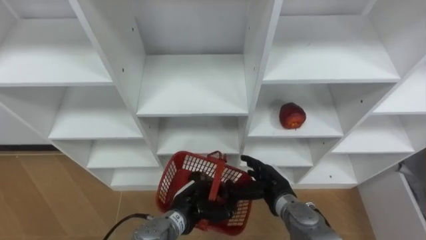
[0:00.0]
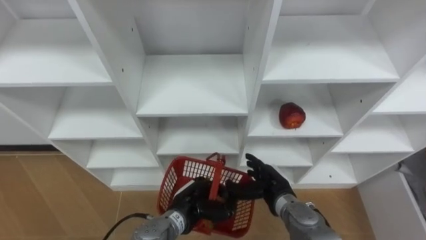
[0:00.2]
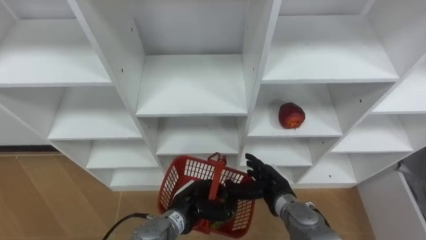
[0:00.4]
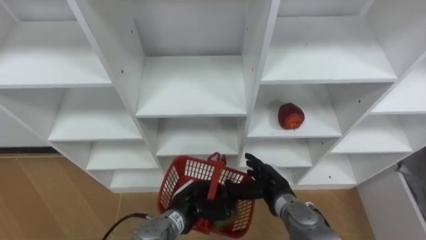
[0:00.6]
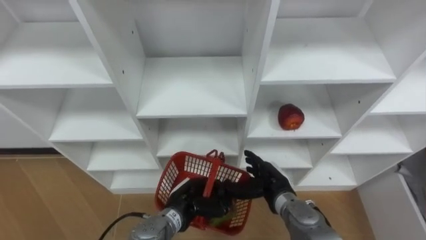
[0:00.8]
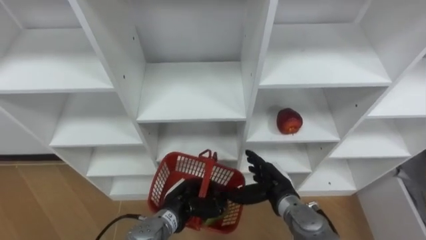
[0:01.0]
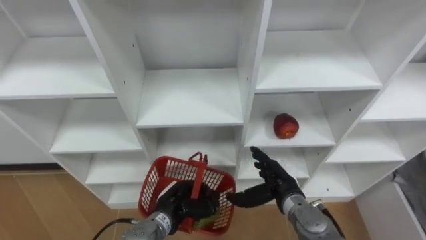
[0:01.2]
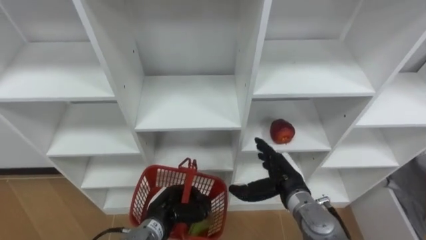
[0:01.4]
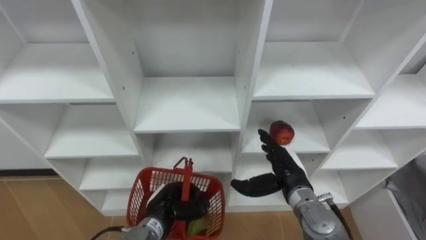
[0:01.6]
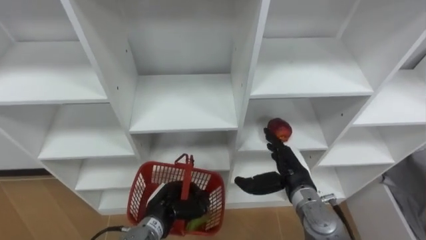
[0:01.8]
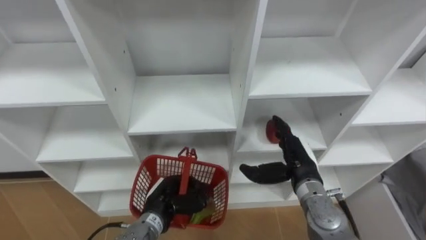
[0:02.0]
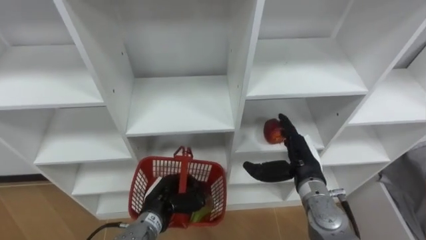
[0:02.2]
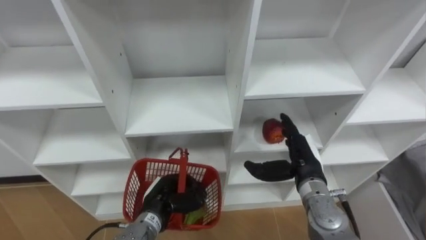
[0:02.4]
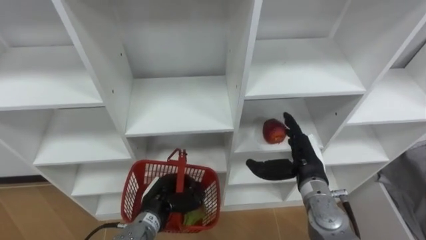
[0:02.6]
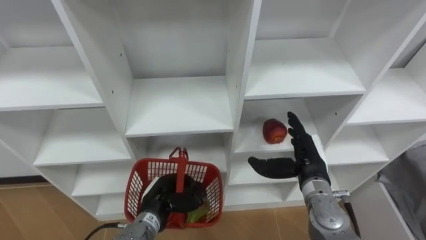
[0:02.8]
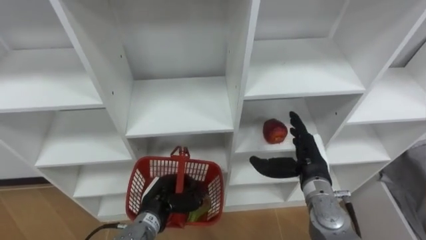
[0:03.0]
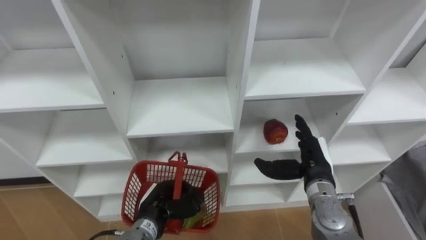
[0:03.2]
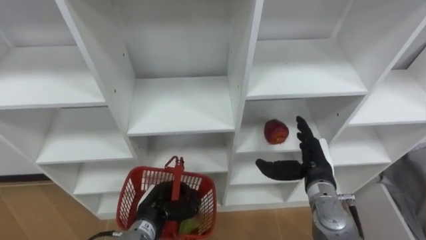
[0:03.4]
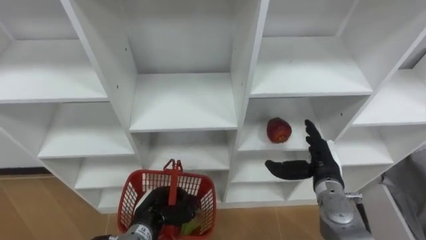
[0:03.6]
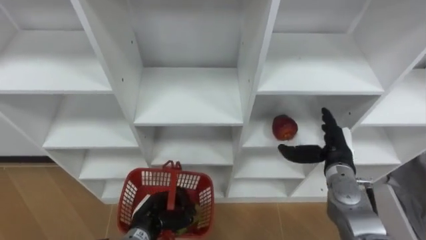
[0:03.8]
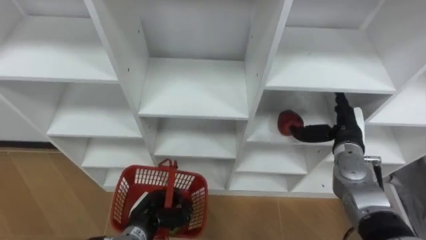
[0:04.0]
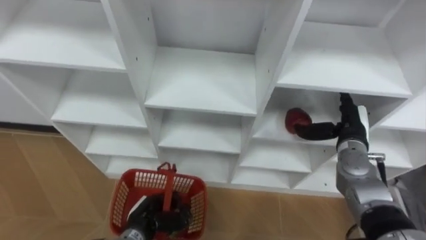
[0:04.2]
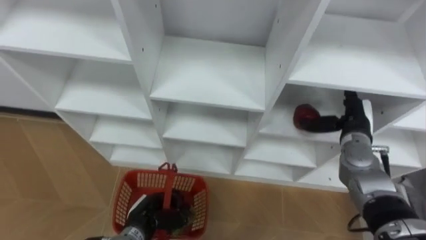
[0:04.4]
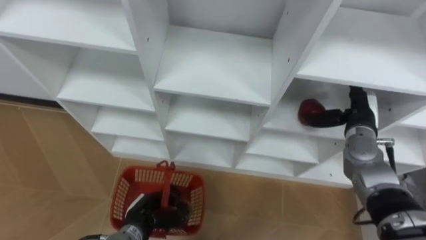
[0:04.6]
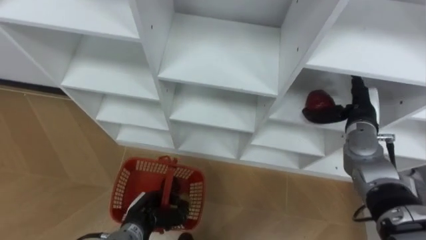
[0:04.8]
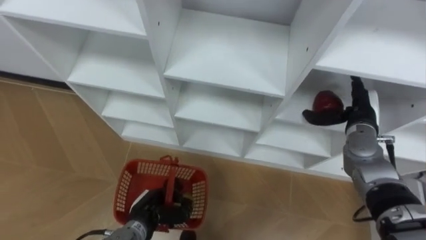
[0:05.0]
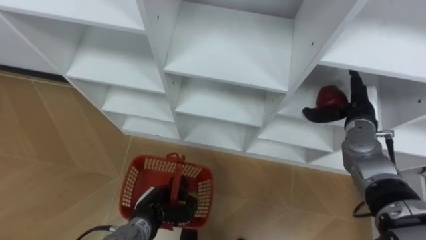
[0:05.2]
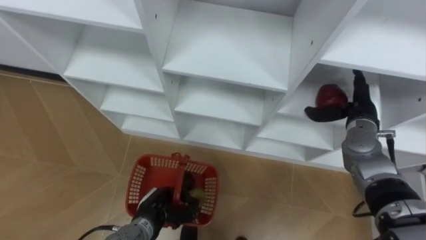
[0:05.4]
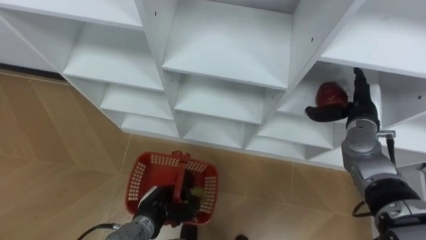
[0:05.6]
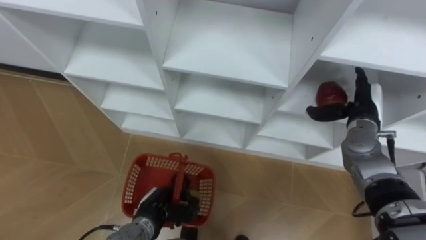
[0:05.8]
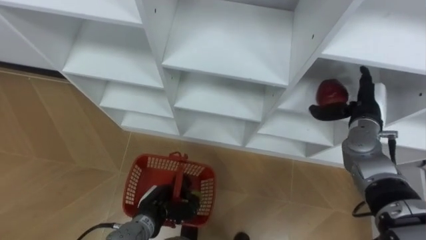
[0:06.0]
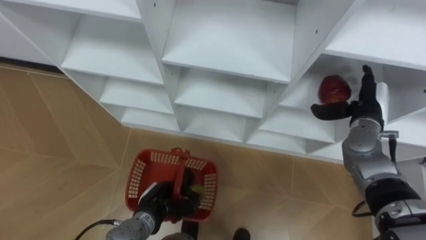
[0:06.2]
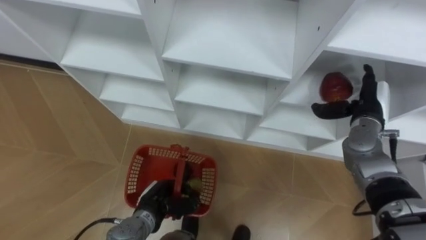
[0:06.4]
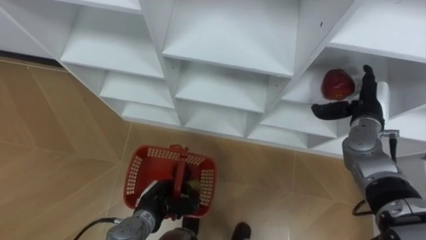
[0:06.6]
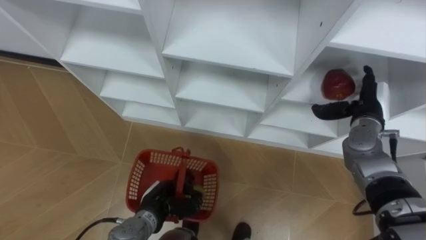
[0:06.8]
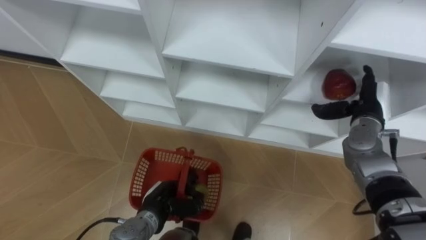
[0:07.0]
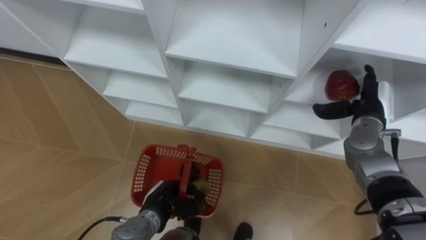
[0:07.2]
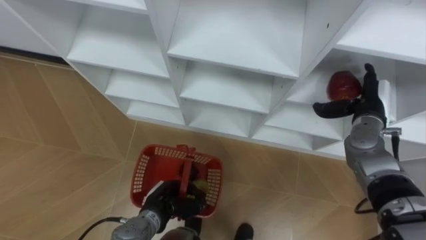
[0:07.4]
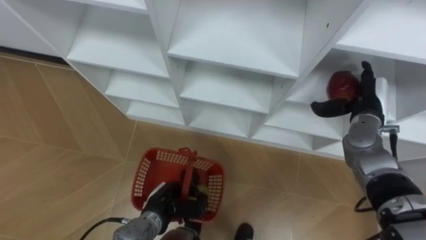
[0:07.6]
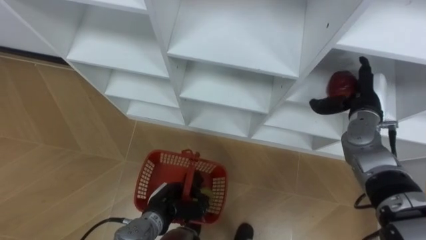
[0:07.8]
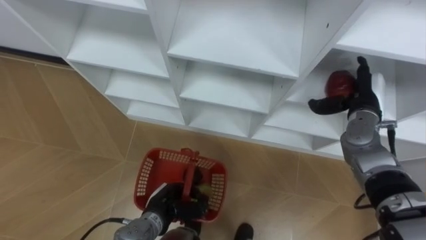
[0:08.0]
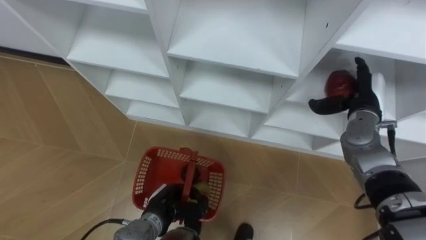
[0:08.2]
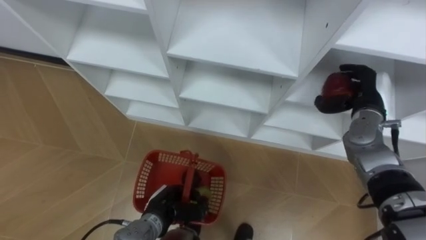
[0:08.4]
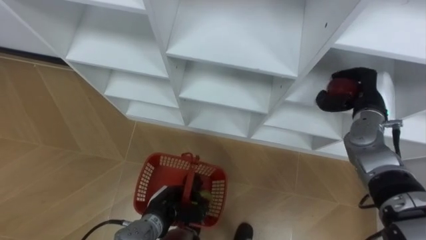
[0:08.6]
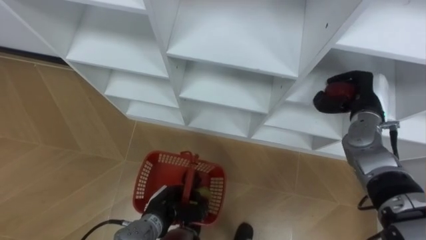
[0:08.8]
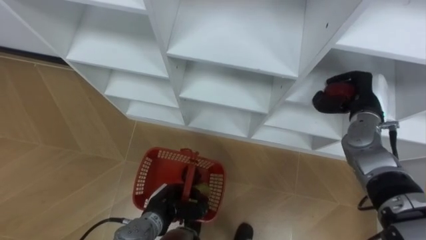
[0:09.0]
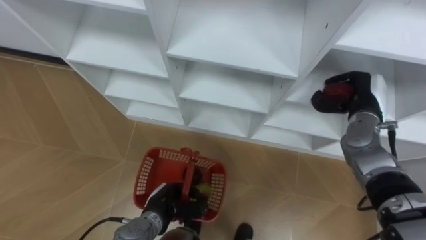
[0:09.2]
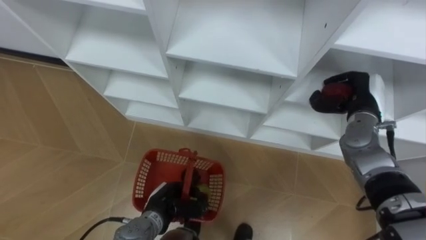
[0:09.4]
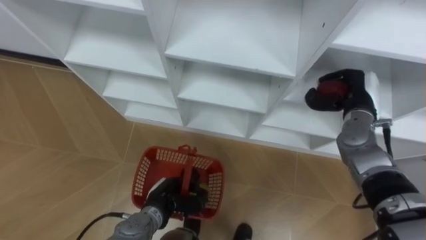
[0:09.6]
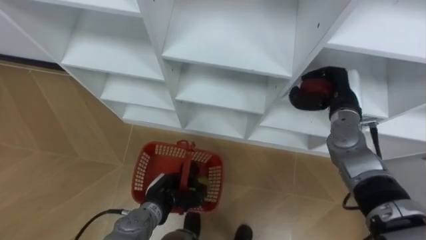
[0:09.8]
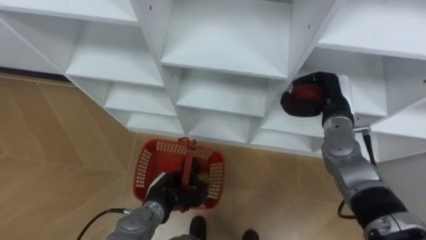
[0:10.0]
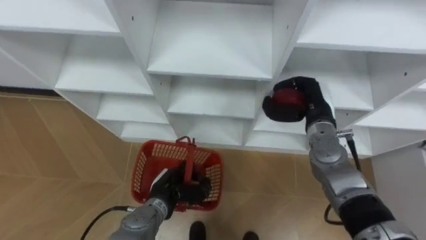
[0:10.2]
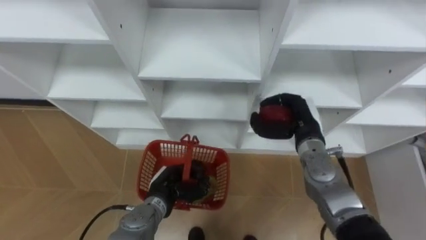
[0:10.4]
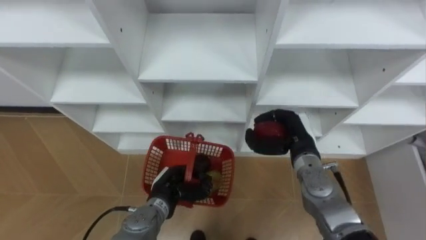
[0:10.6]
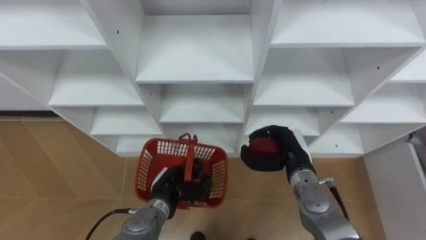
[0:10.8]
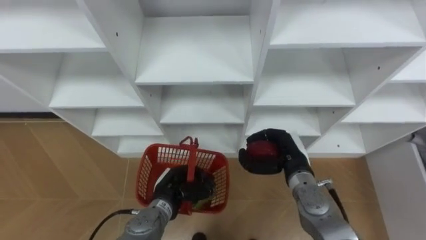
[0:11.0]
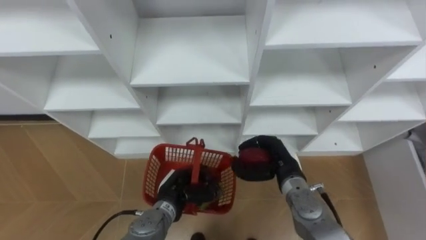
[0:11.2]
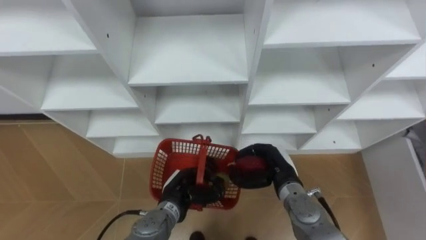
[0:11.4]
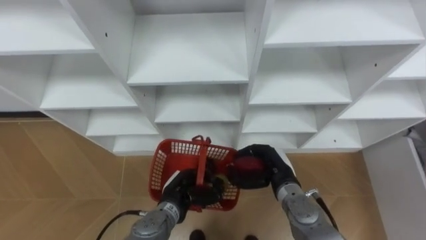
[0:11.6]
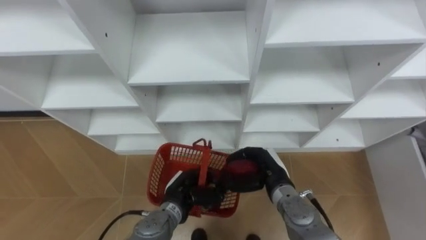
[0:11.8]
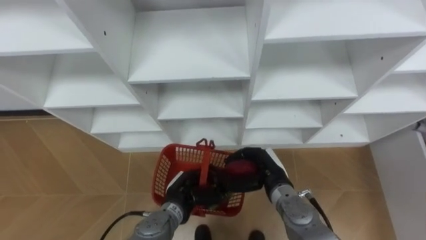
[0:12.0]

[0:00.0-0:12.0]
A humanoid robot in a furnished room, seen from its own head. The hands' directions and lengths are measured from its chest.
Task of the whole recording: Hold the basket and collect the fruits from 3 different cells of the closet into it.
0:00.0 to 0:01.6: The right hand goes about 5 cm upward, while the left hand moves to the left, about 5 cm.
0:03.0 to 0:04.4: The left hand ends up about 5 cm from where it was. Meanwhile the right hand travels to the right and forward by about 10 cm.
0:07.6 to 0:09.0: The right hand closes its fingers.
0:09.0 to 0:10.4: The right hand moves to the left, about 10 cm.
0:10.4 to 0:12.0: The right hand is displaced downward, backward and to the left by roughly 15 cm.

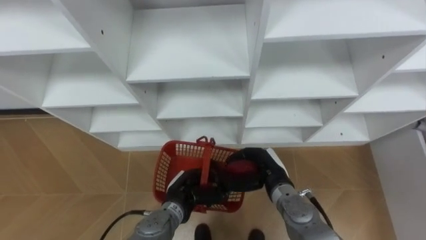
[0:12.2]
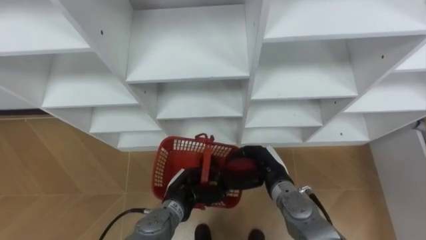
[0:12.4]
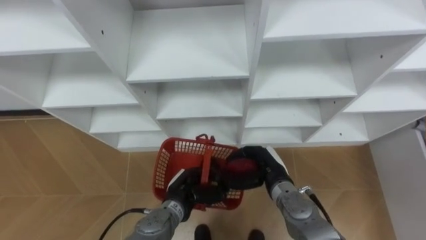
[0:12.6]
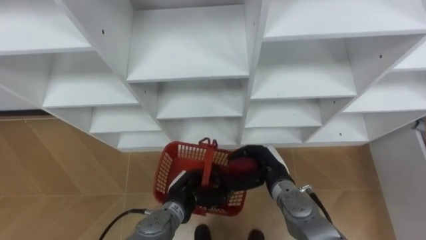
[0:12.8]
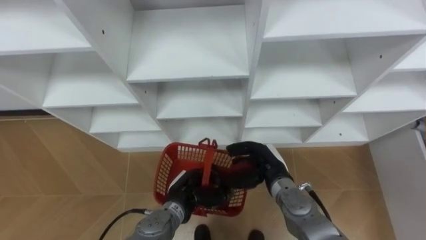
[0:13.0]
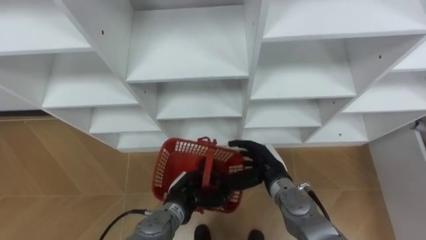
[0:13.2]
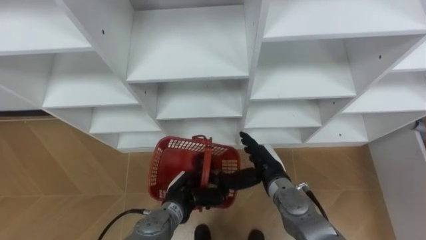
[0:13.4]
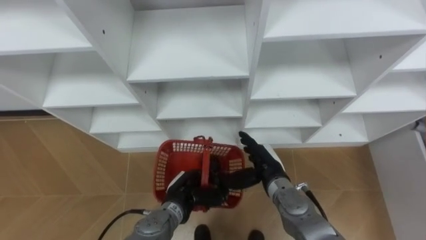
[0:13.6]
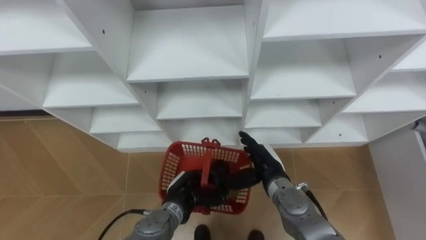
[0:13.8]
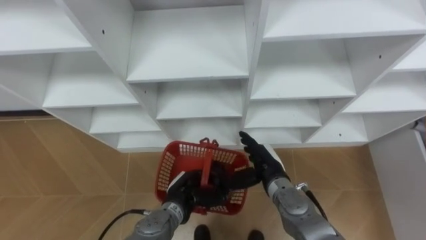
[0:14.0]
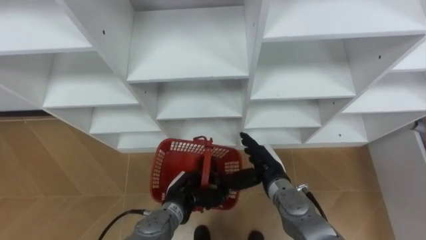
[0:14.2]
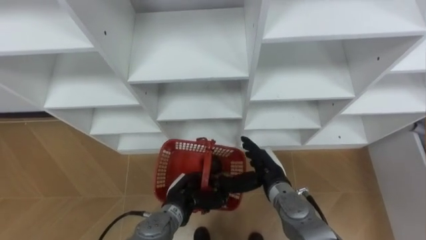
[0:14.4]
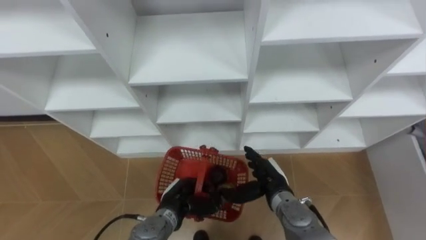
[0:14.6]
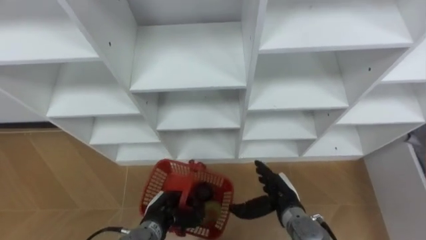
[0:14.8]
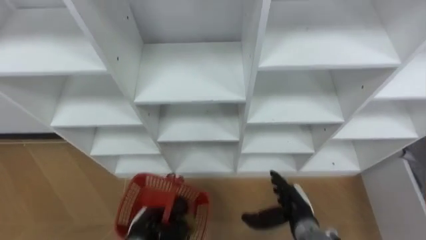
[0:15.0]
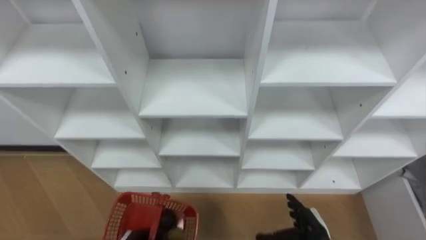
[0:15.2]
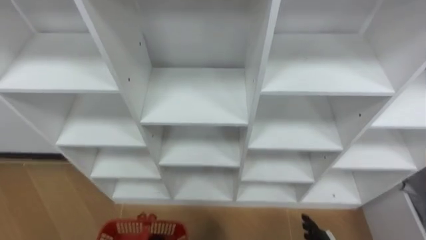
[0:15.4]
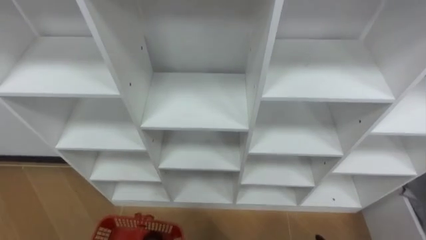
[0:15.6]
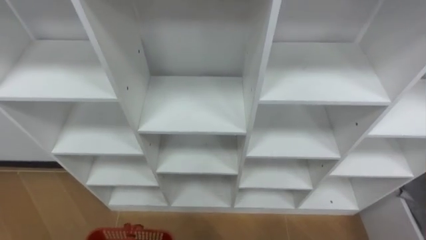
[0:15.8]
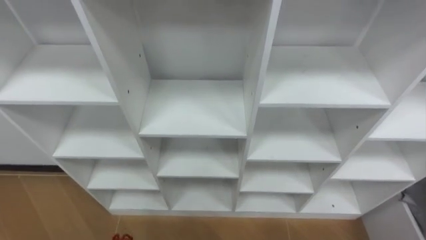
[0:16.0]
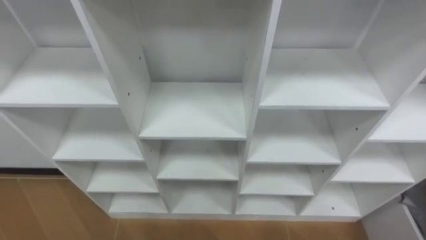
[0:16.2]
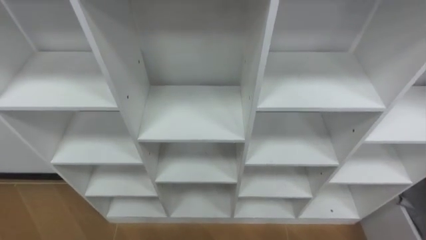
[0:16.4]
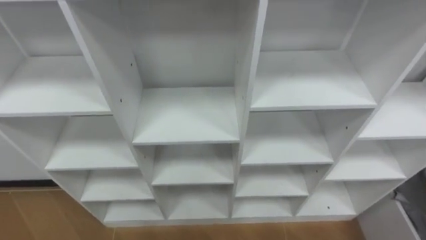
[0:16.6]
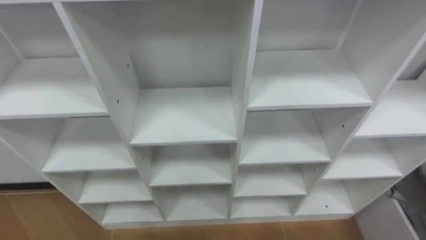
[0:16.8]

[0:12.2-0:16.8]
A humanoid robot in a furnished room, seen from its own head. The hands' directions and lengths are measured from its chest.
Task of the whole recording: Hold the basket and collect the fruits from 3 different cells of the closet into it.
0:12.2 to 0:13.8: The right hand opens up.
0:13.8 to 0:15.2: The right hand travels backward, to the right and downward by approximately 15 cm.
